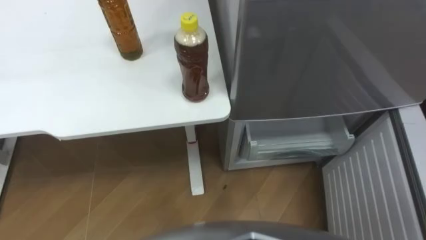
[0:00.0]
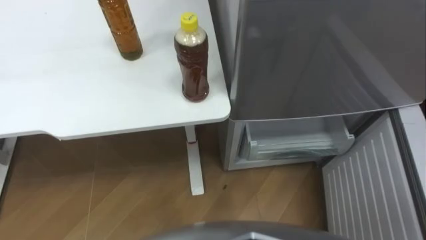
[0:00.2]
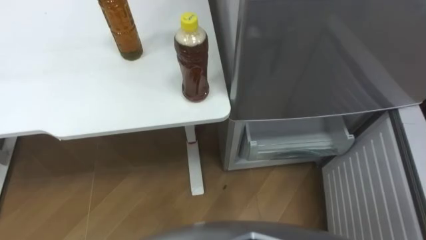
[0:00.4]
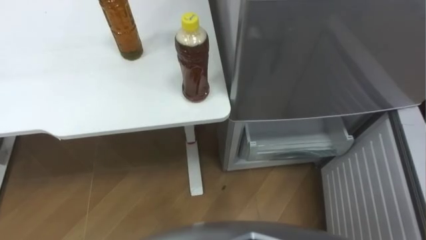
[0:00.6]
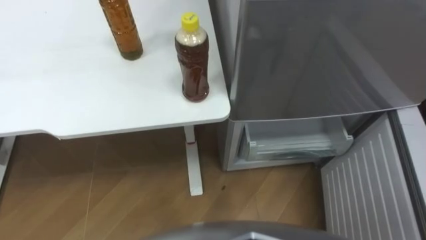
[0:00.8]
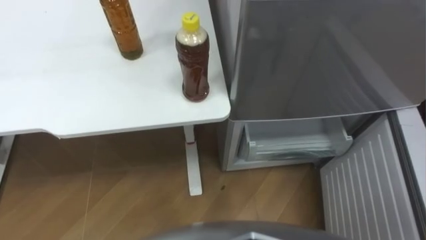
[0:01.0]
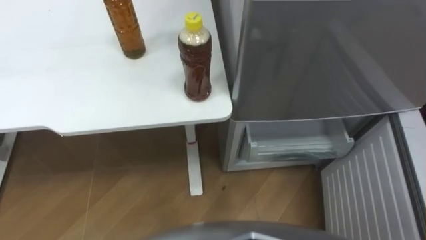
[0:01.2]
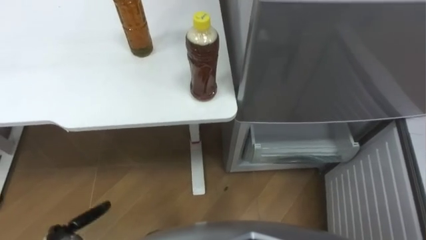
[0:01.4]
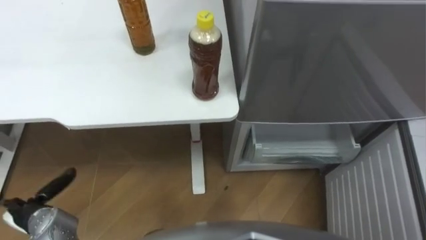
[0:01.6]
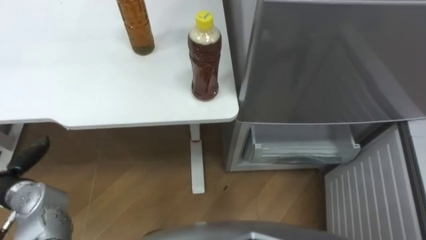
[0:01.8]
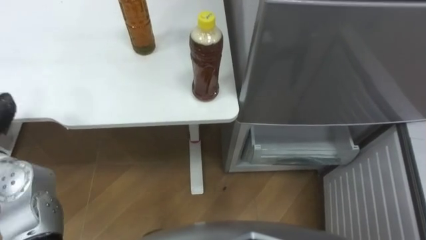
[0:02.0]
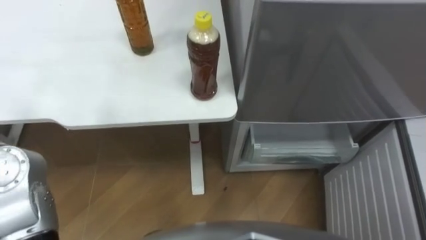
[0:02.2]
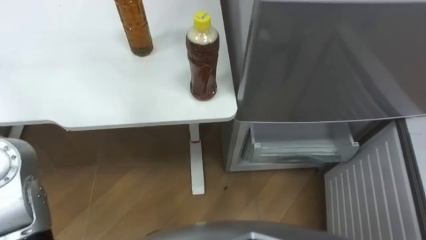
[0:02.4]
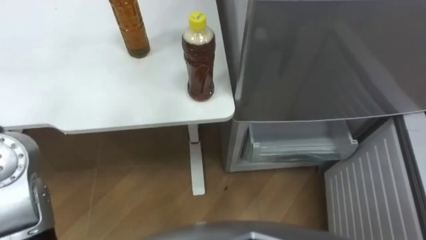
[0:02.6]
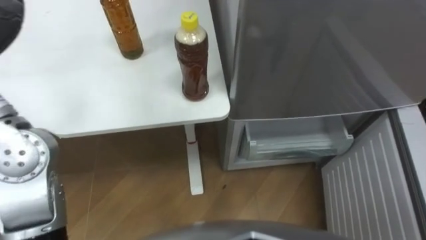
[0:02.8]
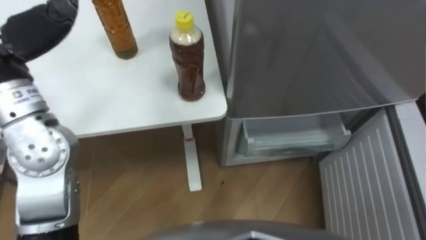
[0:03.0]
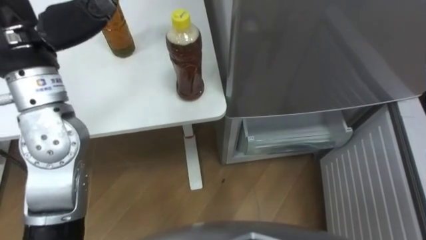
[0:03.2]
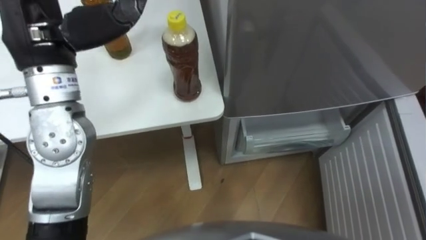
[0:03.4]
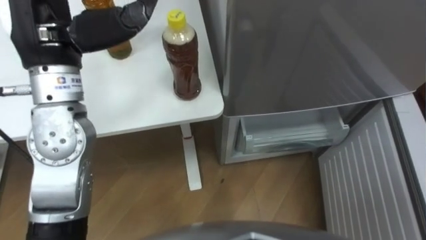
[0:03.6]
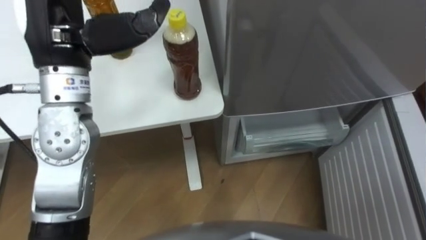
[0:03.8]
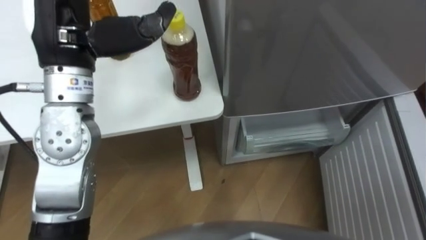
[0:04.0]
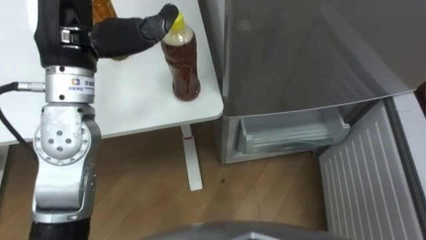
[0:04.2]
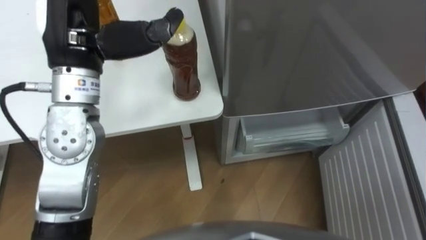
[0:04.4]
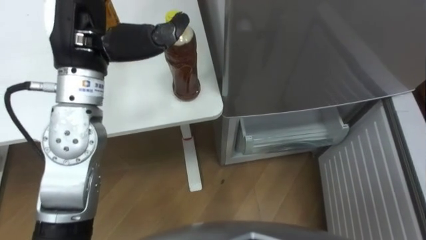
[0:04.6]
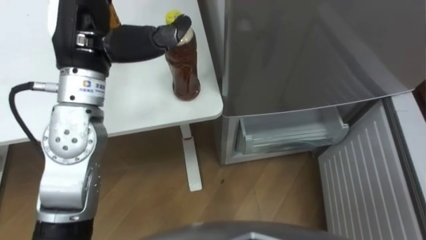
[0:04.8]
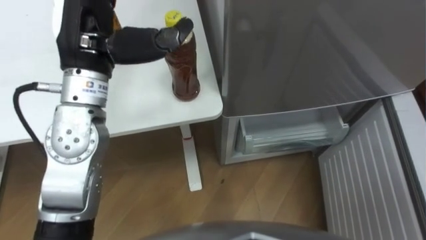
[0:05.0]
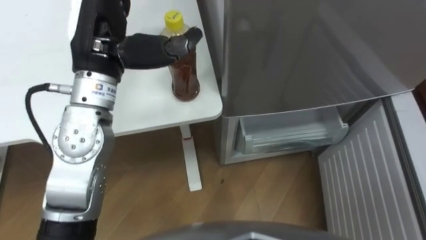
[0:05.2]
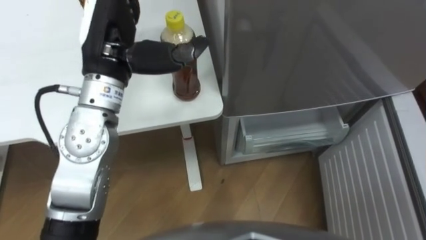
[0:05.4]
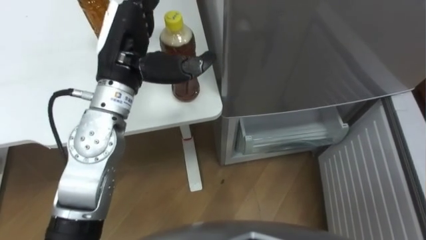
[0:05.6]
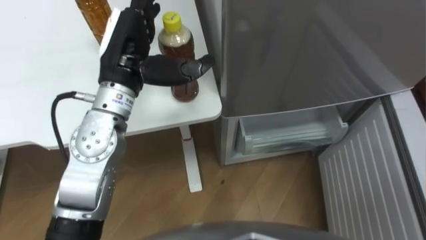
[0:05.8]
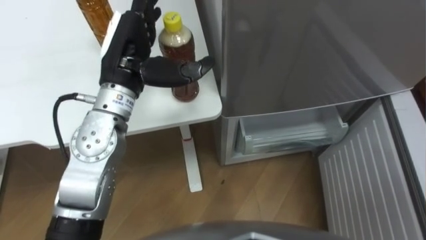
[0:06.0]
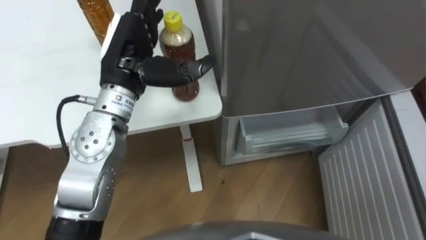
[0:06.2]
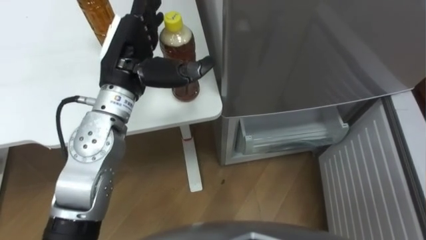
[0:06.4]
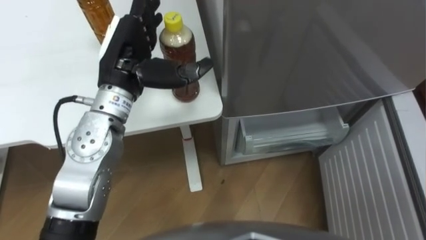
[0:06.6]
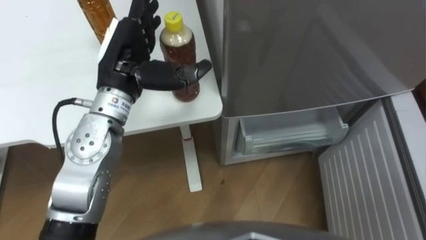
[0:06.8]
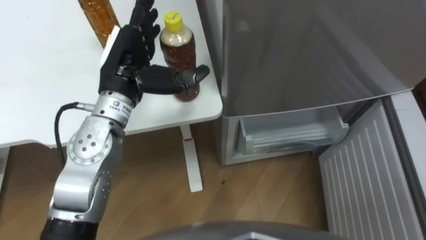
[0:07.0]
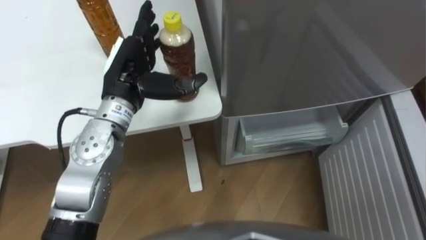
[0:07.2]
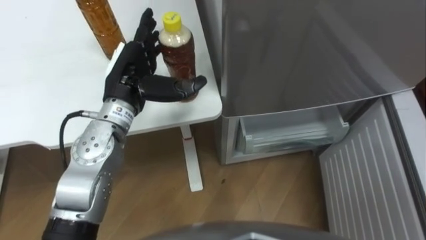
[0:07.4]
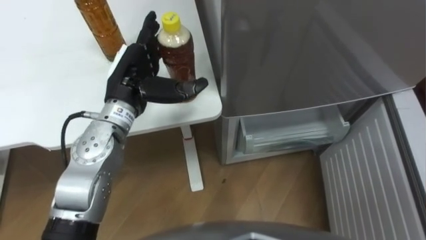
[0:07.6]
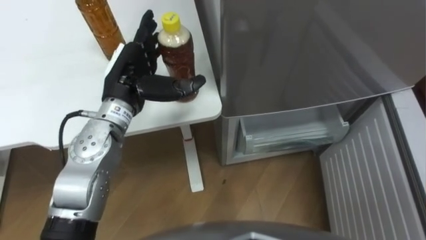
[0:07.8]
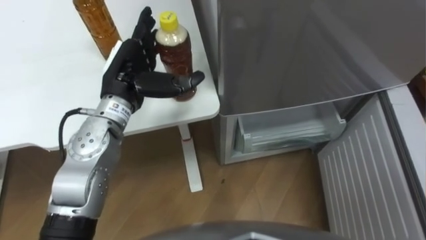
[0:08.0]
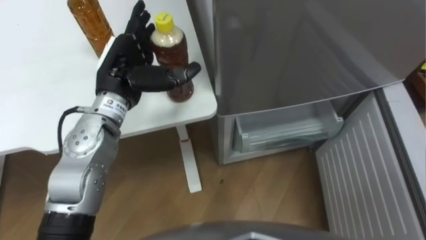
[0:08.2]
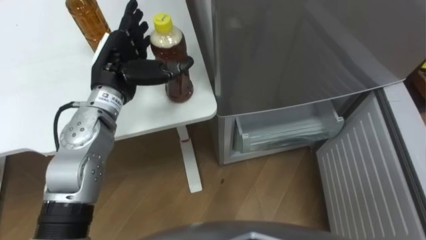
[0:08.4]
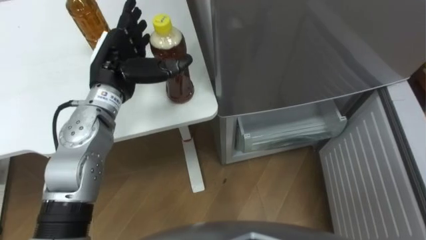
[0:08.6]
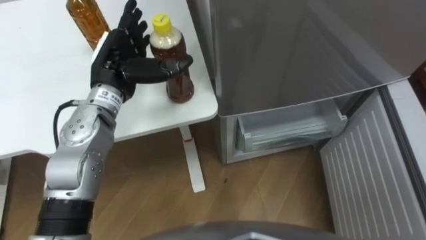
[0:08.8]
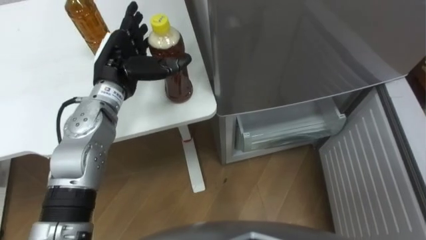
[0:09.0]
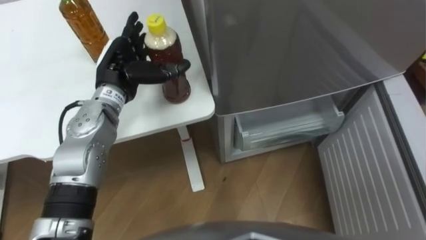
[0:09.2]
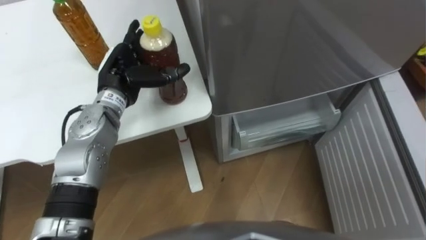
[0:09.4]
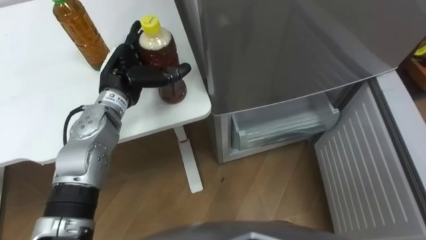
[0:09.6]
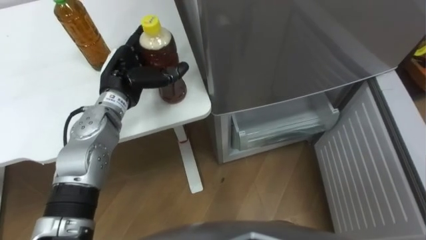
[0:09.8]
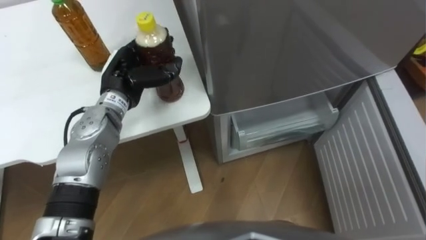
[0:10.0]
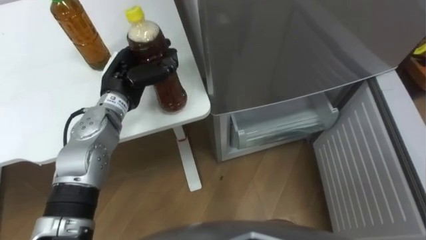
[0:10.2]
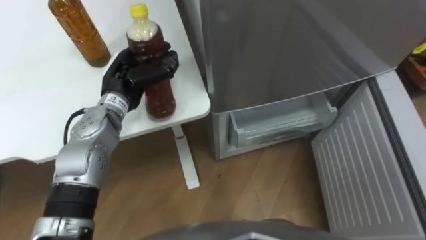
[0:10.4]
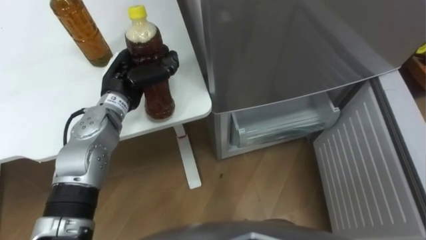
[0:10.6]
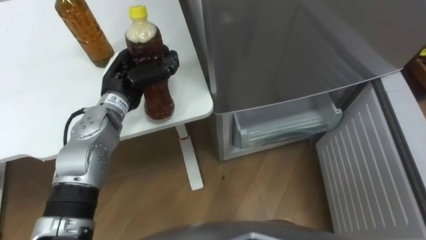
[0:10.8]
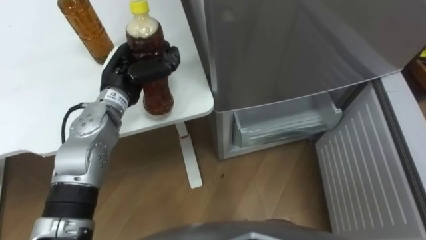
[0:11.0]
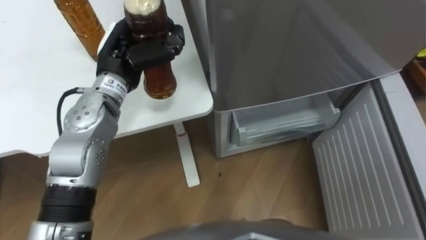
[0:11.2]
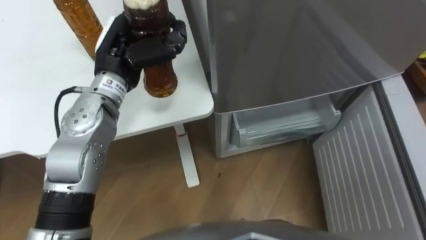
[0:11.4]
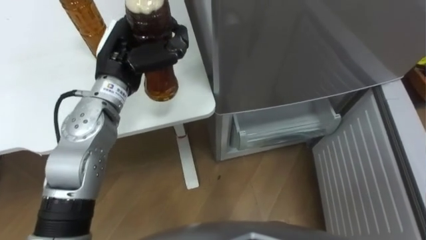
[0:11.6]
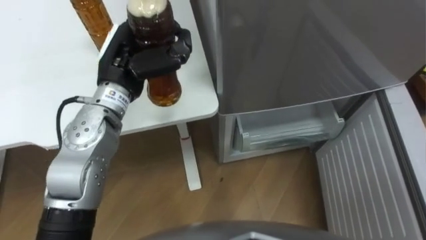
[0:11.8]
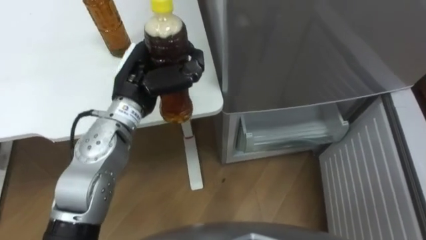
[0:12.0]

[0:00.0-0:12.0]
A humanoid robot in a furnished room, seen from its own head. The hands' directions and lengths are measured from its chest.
Task of the whole recording: Place the drink on the table on the bottom shelf of the refrigerator, then close the drawer and the refrigerator door.
4.4 to 6.0 s: The left hand travels downward by about 5 cm.
6.0 to 7.6 s: The left hand goes approximately 5 cm downward.
9.0 to 10.4 s: The left hand closes.
10.4 to 12.0 s: The left hand goes some 5 cm upward.

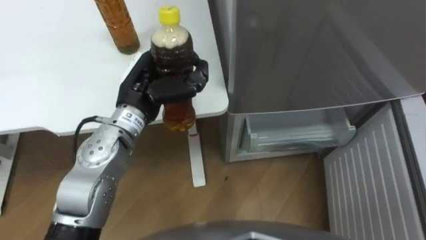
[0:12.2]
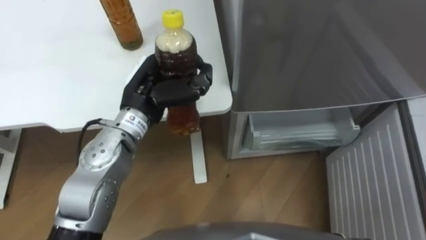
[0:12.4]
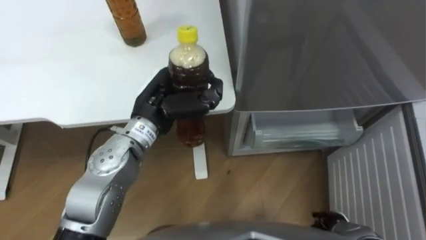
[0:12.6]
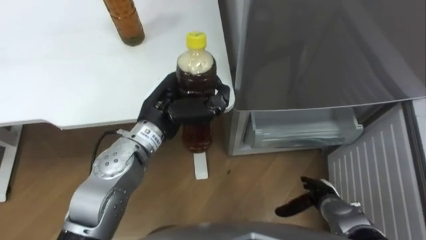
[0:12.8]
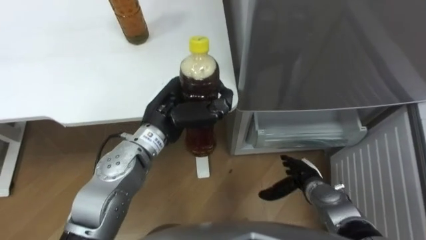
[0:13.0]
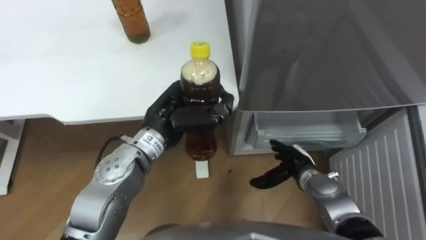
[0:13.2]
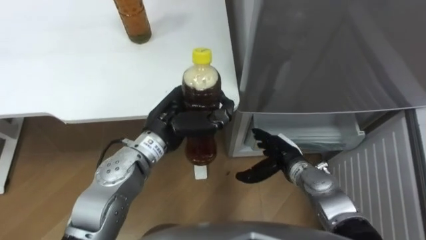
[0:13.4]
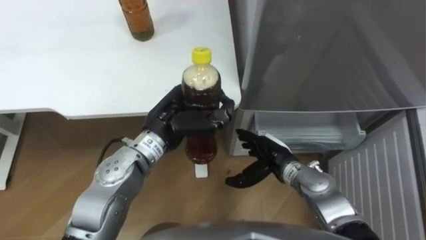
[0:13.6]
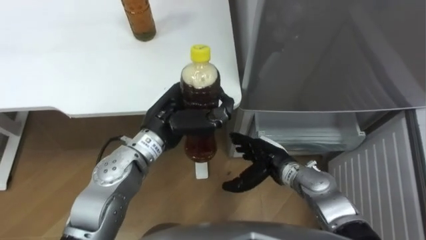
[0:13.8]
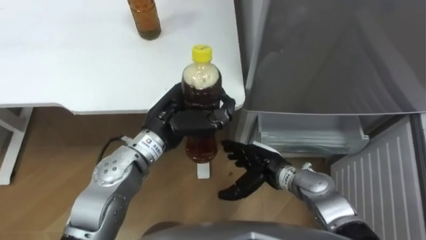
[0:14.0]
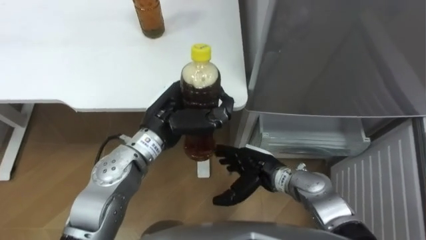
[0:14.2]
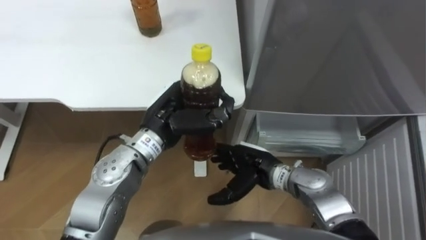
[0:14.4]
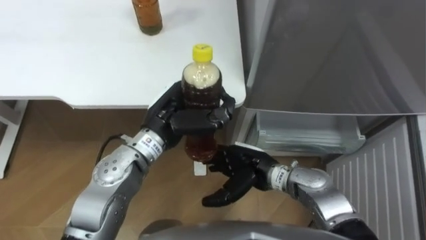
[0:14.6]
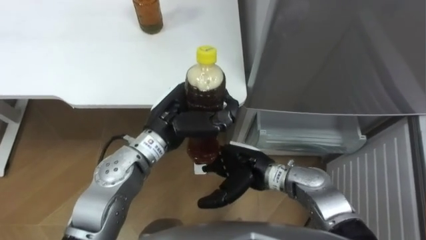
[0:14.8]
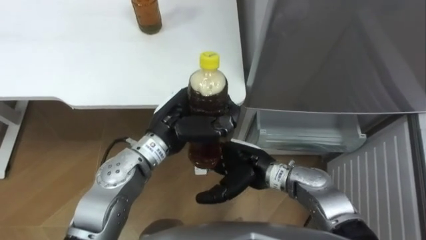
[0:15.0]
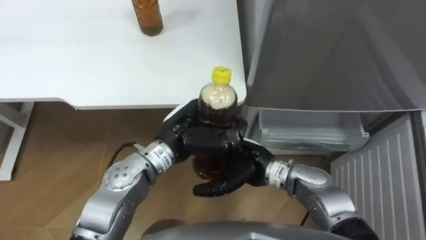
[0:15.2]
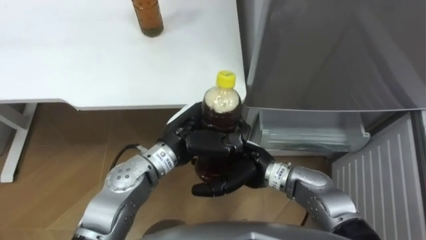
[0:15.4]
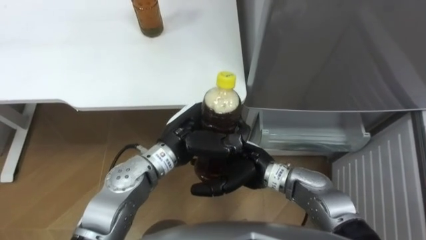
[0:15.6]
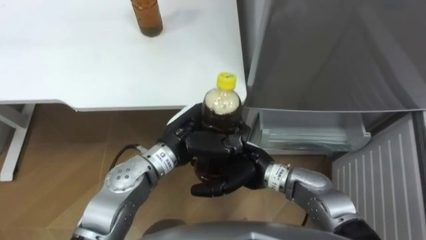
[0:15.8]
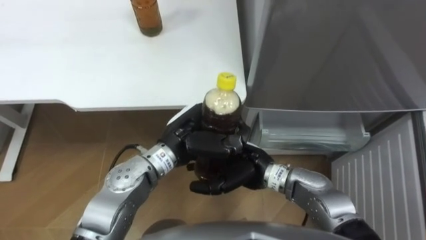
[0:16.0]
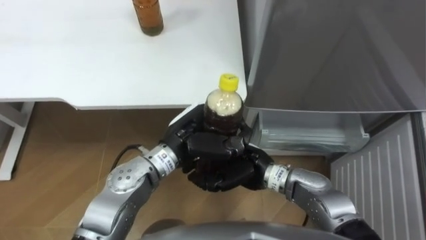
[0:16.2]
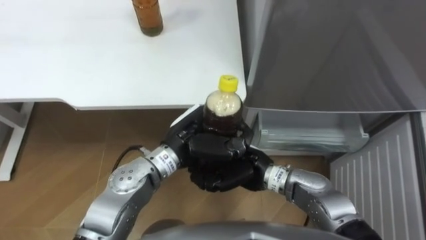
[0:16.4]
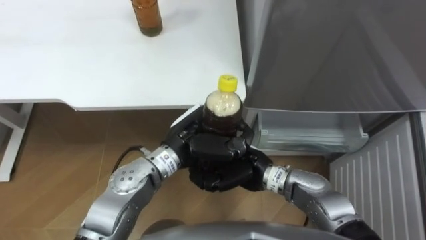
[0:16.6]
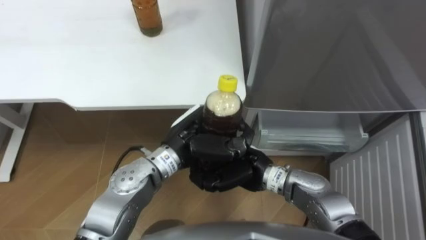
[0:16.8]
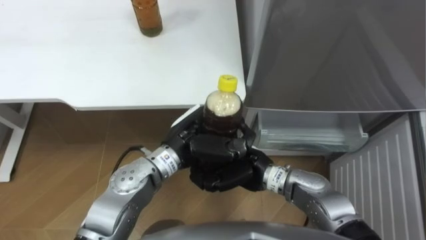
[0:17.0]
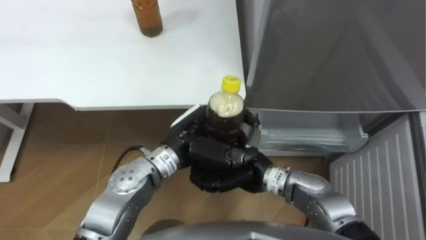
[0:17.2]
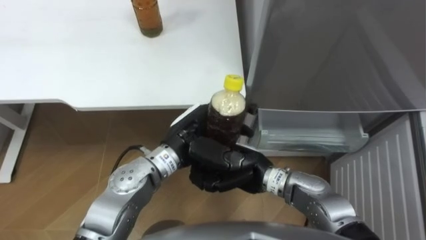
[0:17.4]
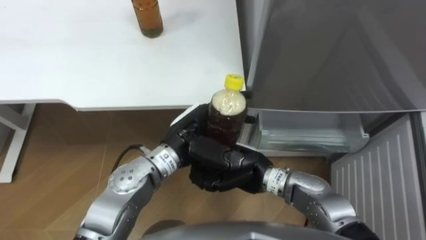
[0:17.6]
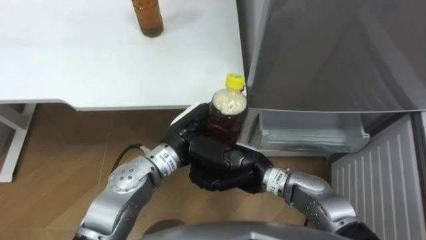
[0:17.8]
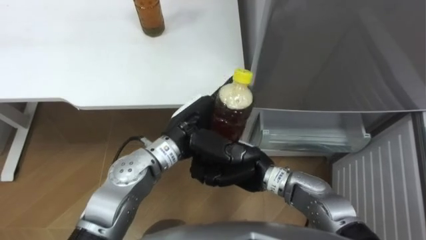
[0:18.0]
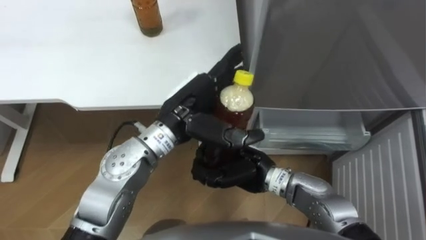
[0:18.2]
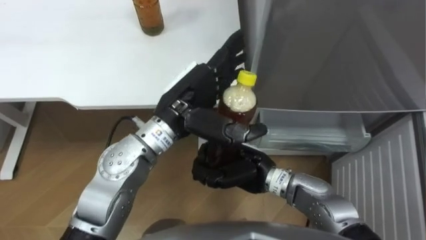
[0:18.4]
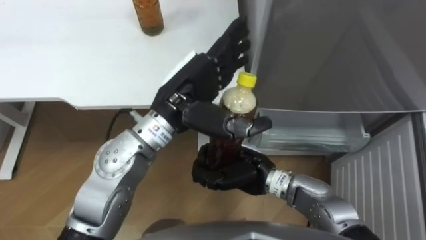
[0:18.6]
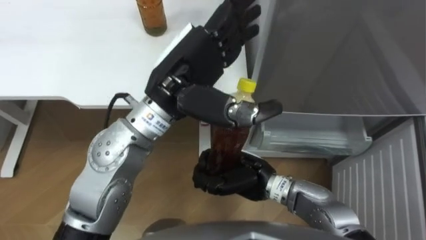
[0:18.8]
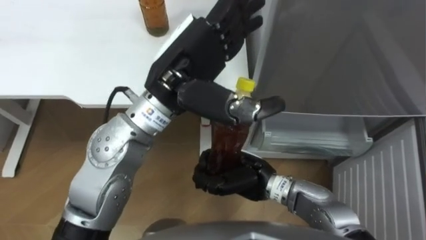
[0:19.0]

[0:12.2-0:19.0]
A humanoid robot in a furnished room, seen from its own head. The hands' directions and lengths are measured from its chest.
Task of the whole recording: Place the drink on the table on the bottom shelf of the refrigerator, then close the drawer and the refrigerator door.
12.2 to 13.6 s: The left hand shifts by some 5 cm.
13.6 to 15.0 s: The right hand travels to the left by roughly 5 cm.
15.0 to 16.2 s: The right hand closes its fingers.
16.2 to 17.6 s: The left hand opens up. Meanwhile the right hand closes.
17.6 to 19.0 s: The left hand moves upward, roughly 15 cm.
